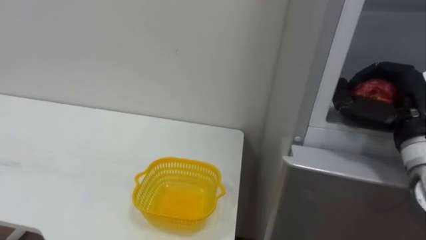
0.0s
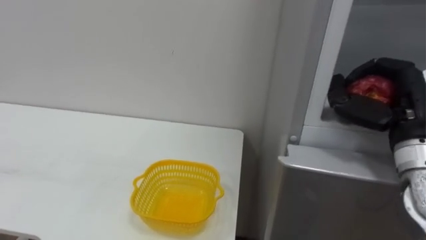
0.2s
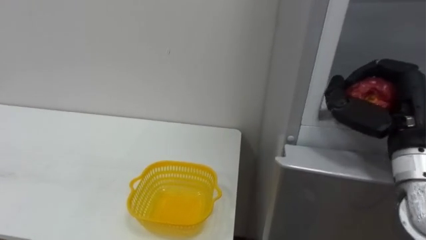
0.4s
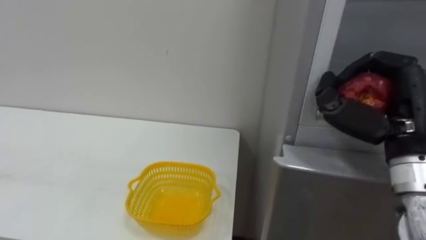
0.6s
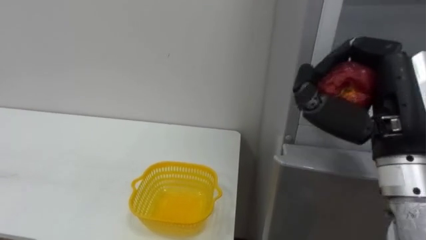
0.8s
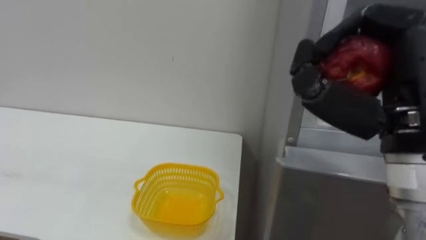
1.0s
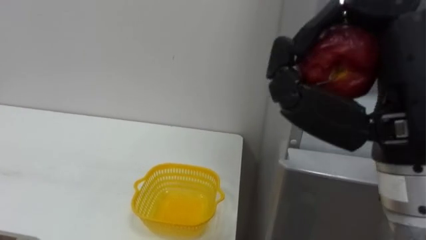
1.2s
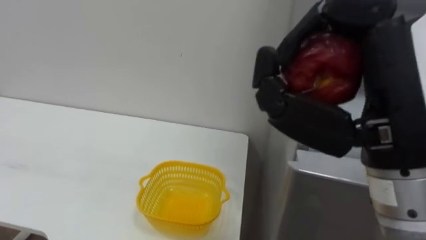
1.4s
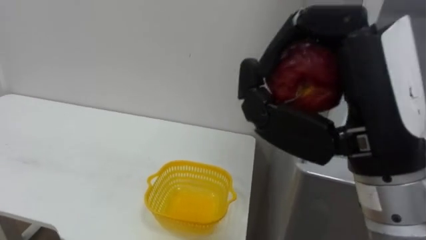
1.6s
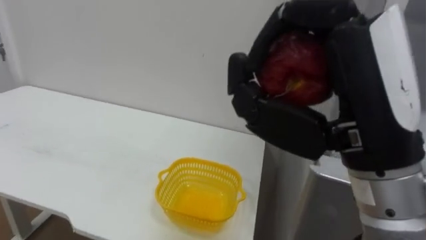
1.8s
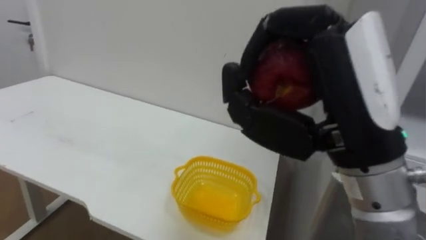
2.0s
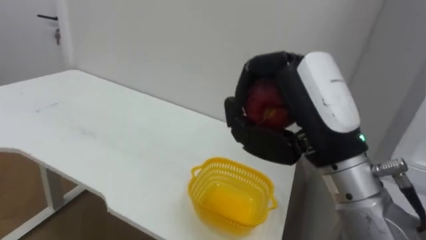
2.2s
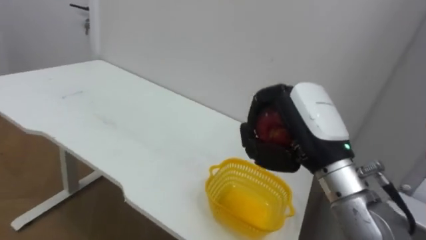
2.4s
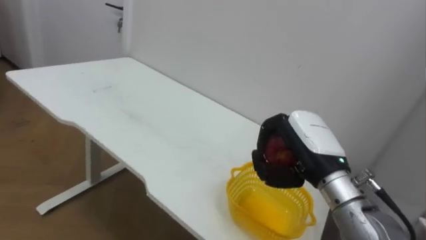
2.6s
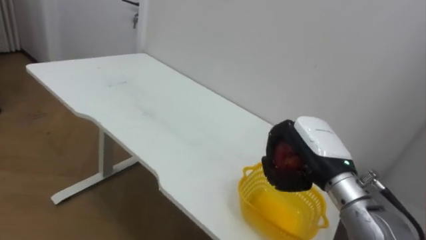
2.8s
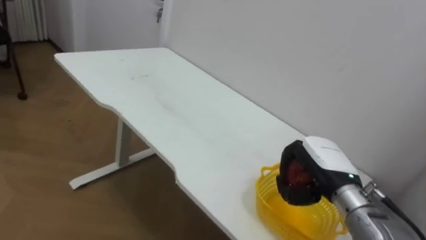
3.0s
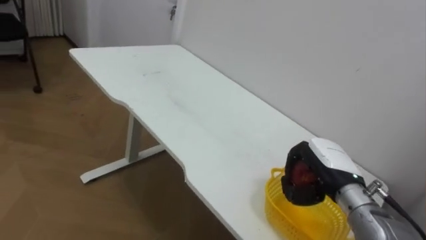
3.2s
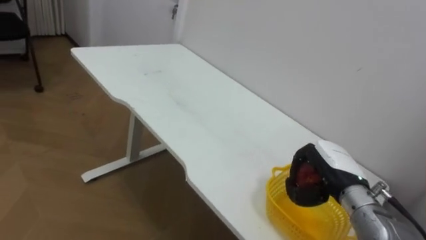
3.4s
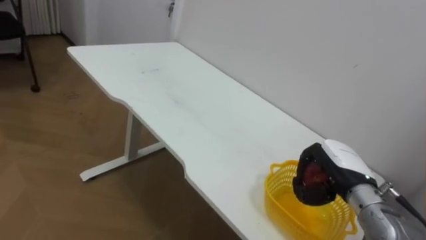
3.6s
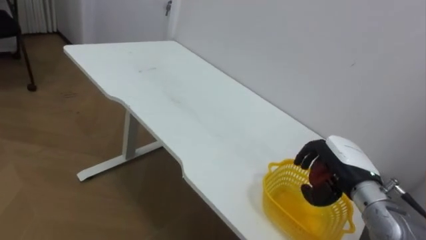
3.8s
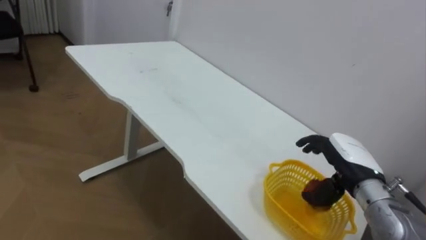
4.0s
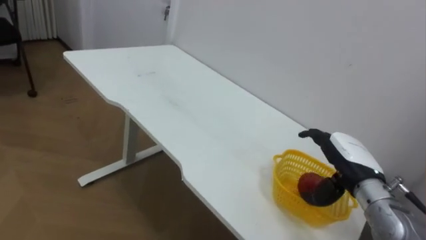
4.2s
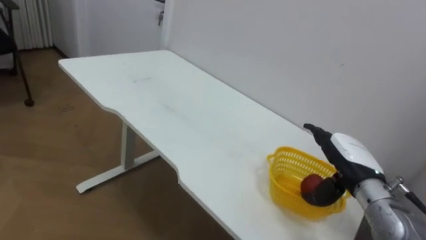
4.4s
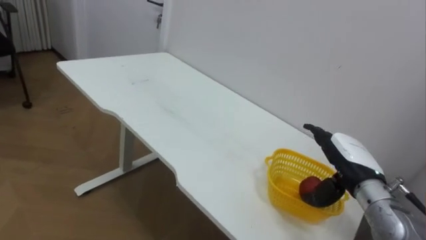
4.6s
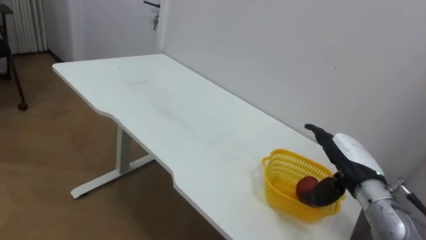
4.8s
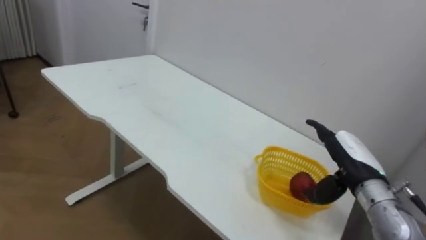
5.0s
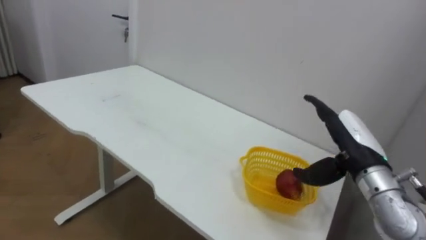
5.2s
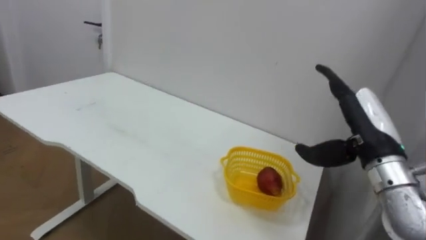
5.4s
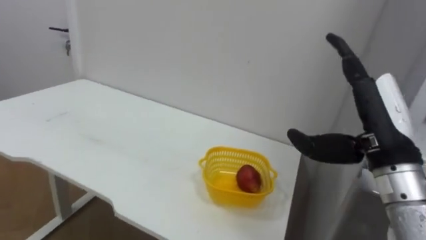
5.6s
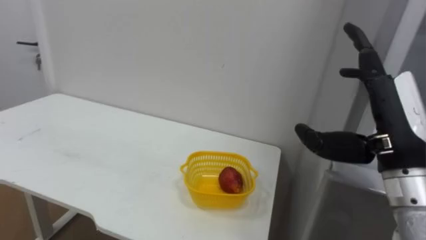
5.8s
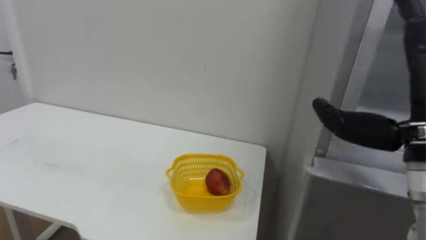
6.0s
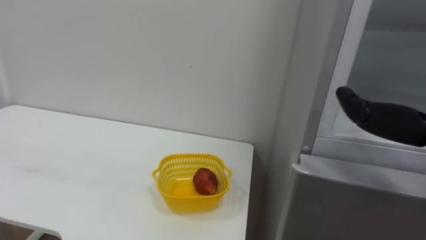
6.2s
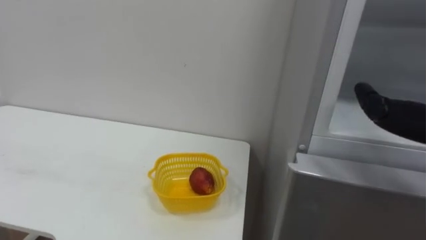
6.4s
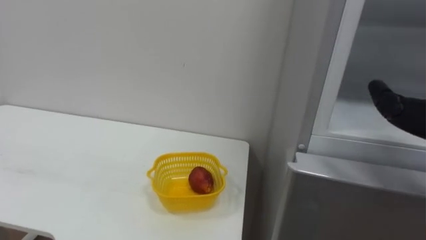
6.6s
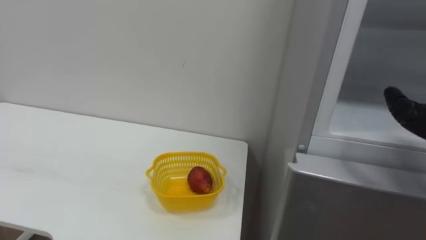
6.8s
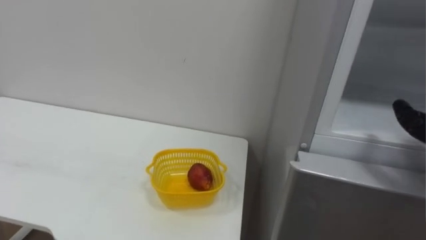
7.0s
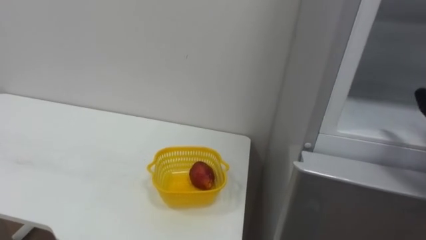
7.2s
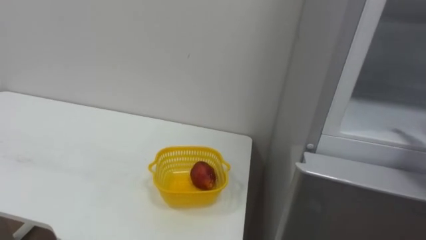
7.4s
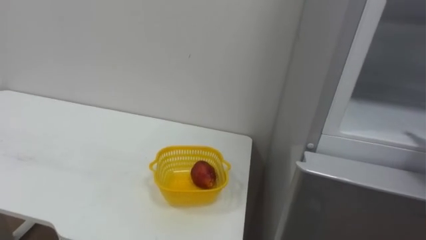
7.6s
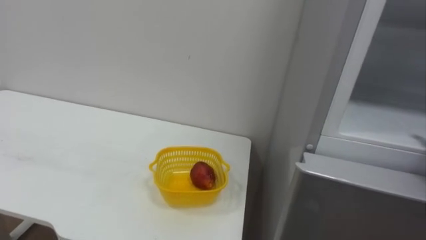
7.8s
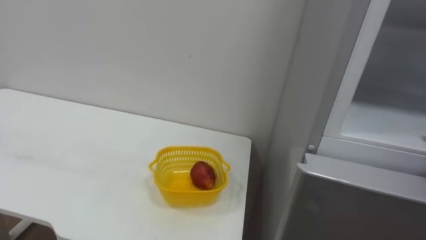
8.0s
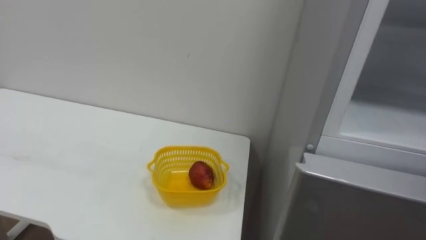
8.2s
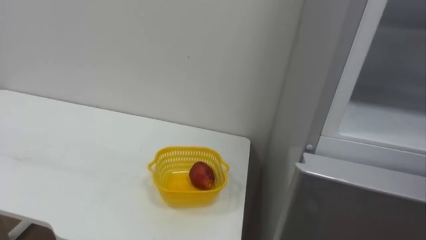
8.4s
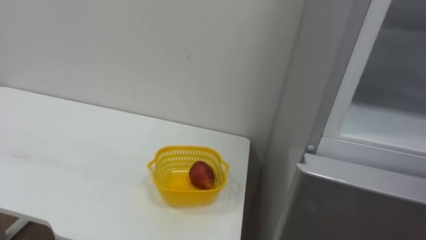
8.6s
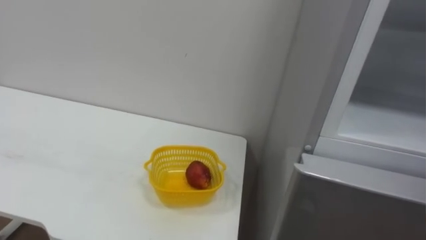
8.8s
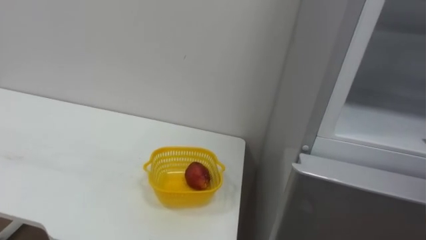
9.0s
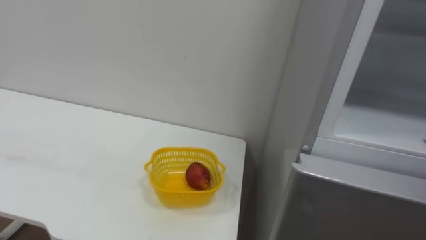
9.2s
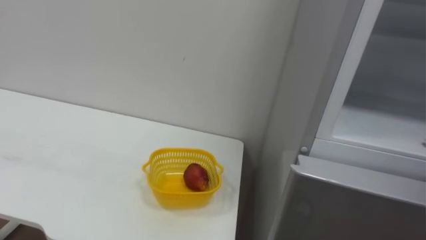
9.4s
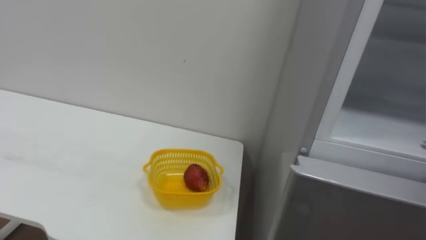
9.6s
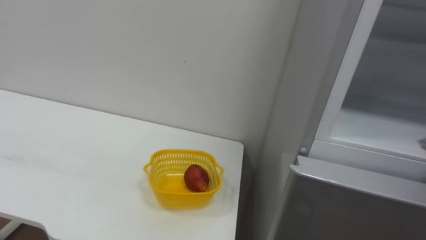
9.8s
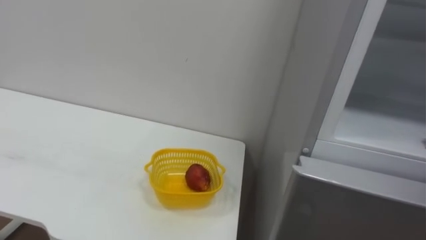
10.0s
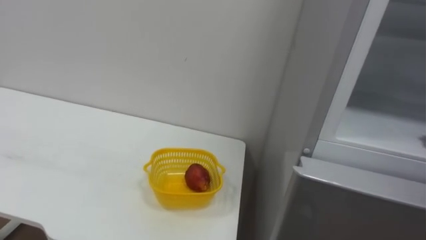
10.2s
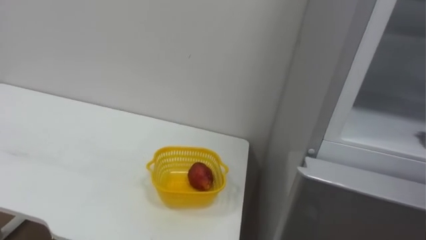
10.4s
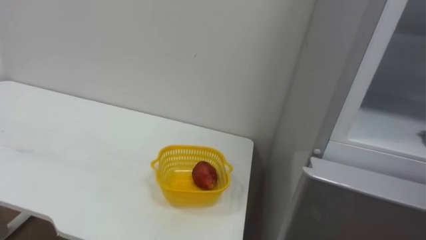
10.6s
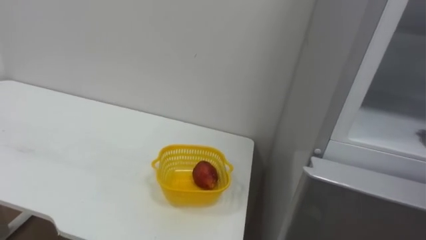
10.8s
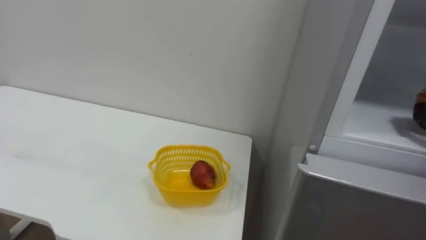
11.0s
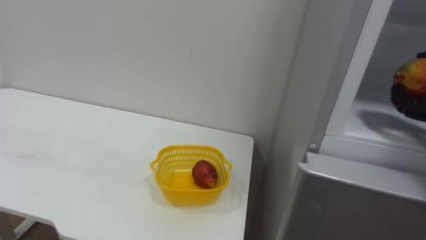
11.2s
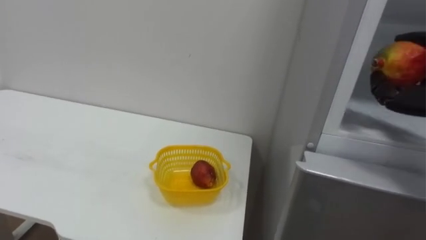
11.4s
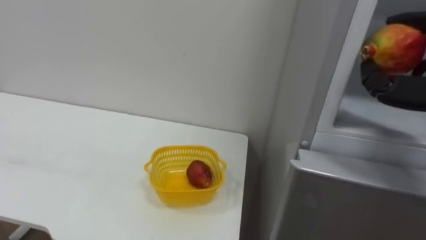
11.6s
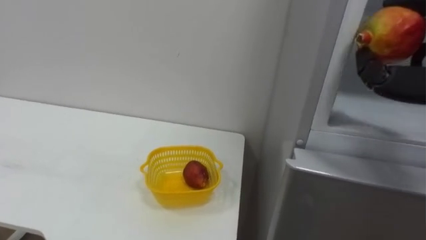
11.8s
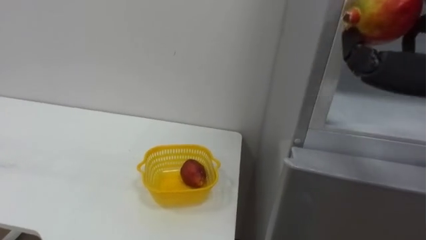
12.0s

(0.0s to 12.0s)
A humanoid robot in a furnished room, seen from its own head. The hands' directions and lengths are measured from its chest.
Task of the whole recording: Open the refrigerator door, take out the apple and the pomegranate, place them in the fruit basket on the left, and close the refrigerator door.
0.0s - 1.6s: The right hand heads to the left, backward and upward, covering roughly 20 cm.
1.6s - 3.0s: The right hand is displaced downward and forward by some 25 cm.
3.0s - 4.4s: The right hand opens up.
4.4s - 6.0s: The right hand goes roughly 20 cm upward and backward.

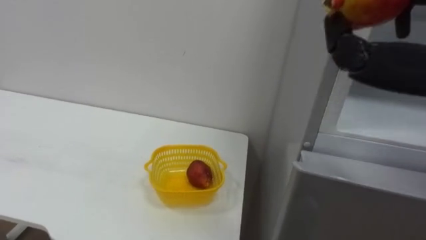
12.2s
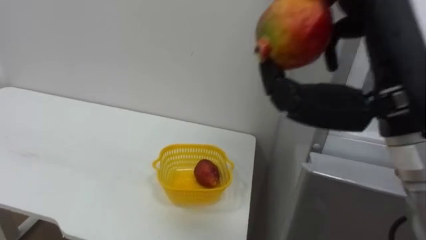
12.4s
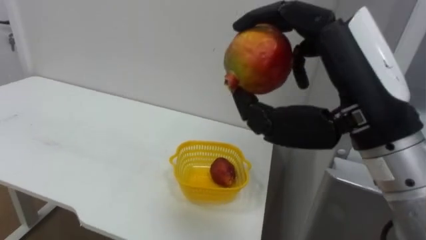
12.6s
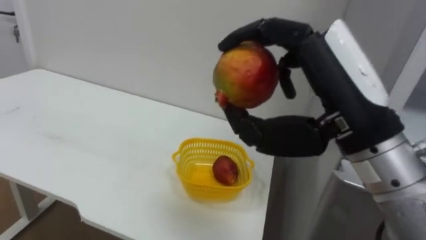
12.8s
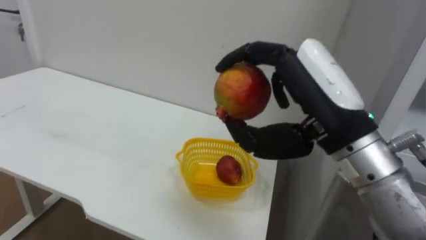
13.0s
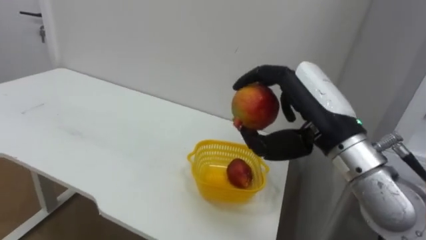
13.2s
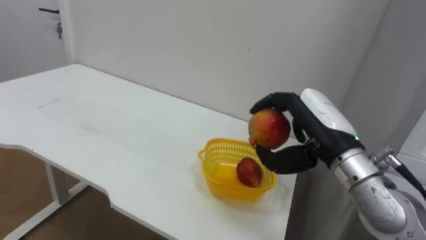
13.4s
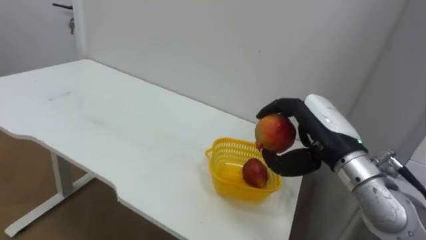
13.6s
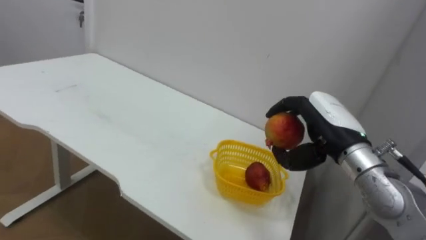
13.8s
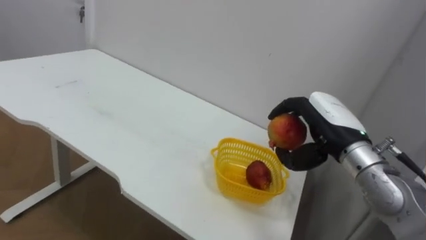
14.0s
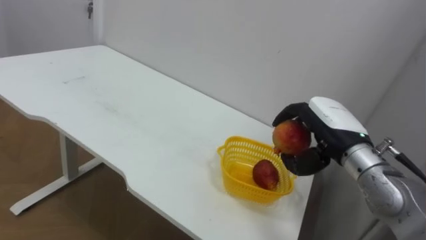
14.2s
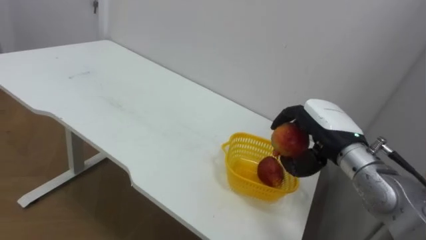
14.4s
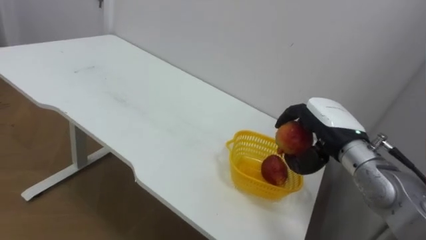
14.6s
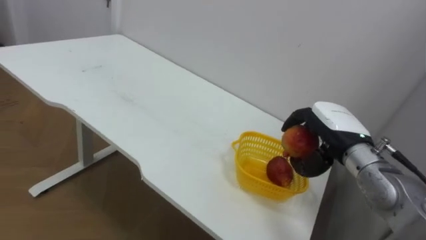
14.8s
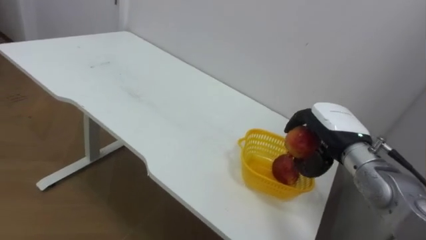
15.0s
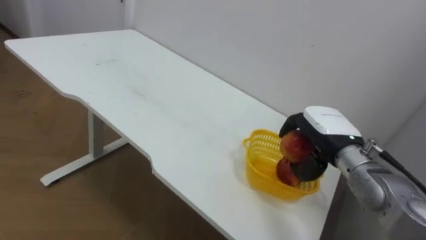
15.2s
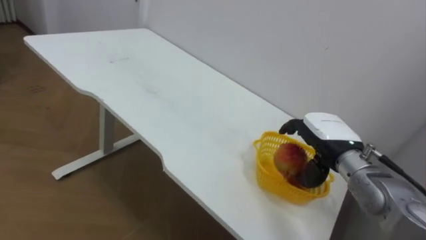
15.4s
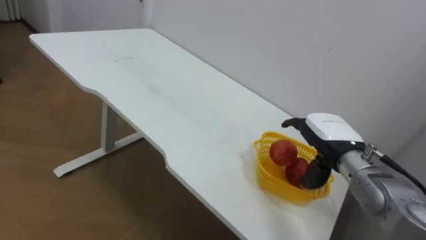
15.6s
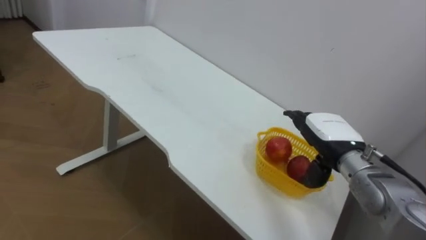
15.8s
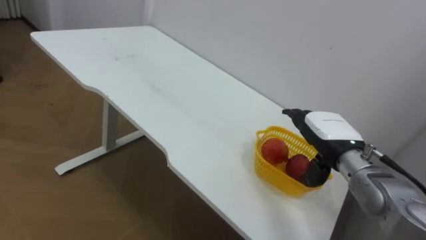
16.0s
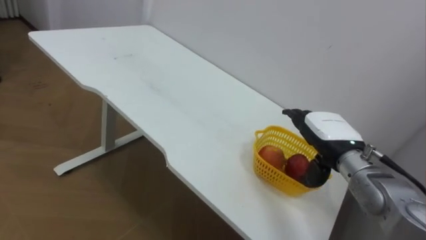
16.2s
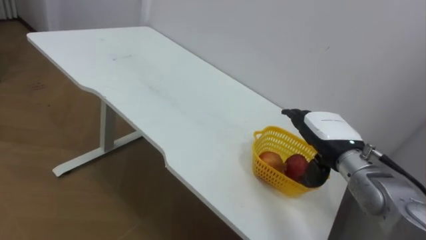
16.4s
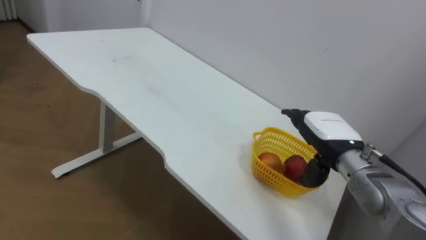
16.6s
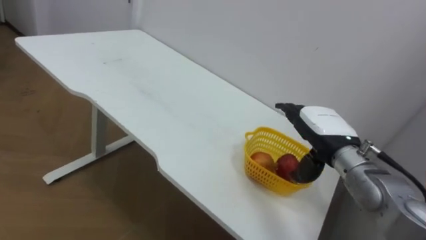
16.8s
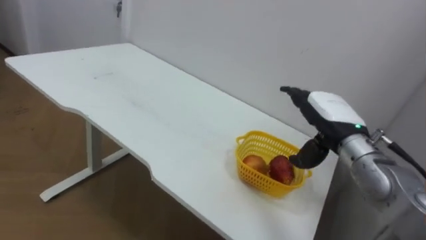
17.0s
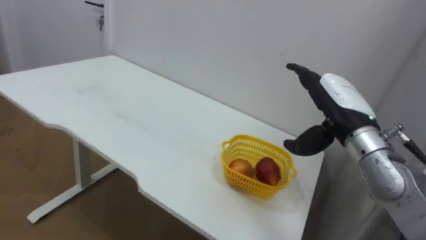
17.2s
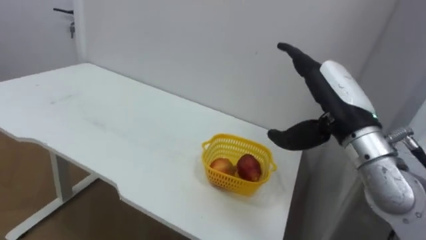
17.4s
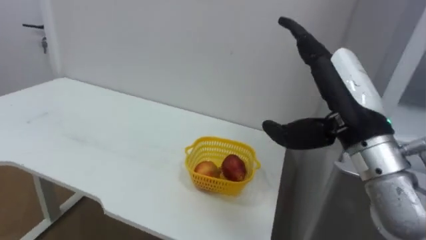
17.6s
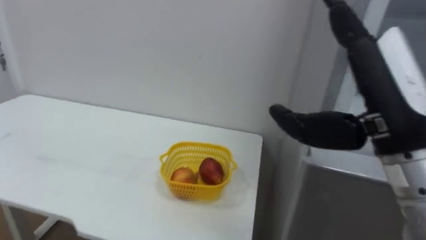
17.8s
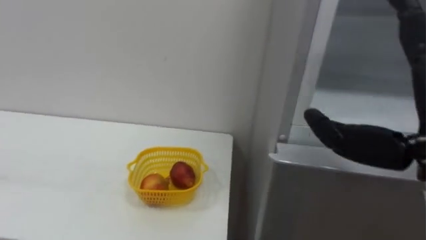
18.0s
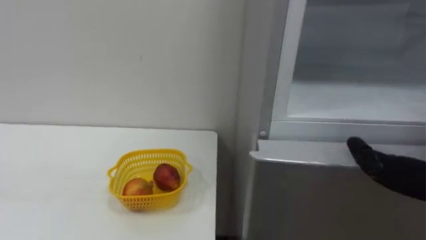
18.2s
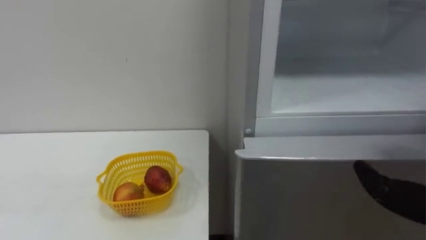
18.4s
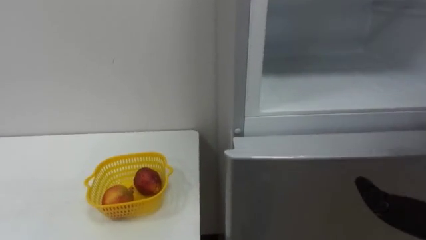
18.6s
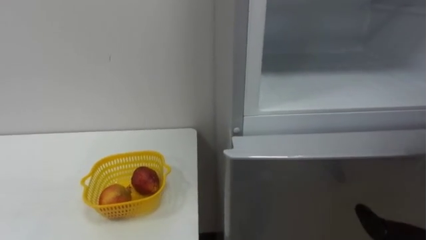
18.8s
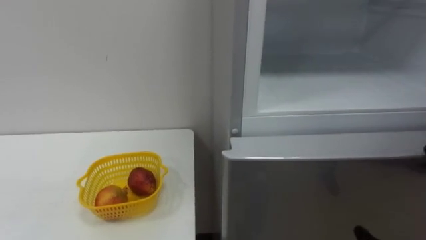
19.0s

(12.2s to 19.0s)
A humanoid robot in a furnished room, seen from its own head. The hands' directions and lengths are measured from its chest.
Task of the whole recording: Open the refrigerator door, take out the apple and the pomegranate, place them in the fruit basket on the left, and close the refrigerator door.
13.6s - 15.0s: The right hand changes place by roughly 5 cm.
15.0s - 16.2s: The right hand opens.
16.2s - 17.6s: The right hand goes roughly 15 cm upward and backward.
